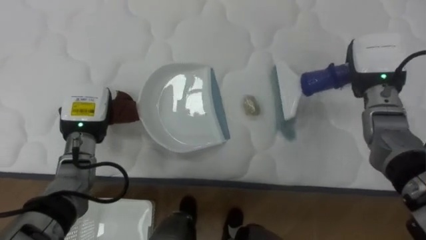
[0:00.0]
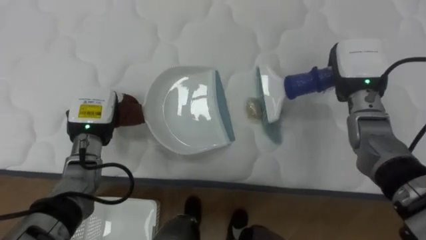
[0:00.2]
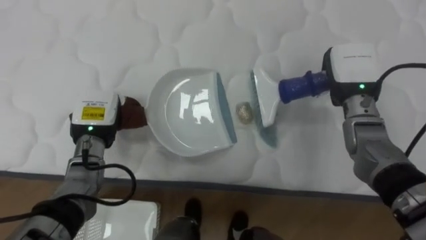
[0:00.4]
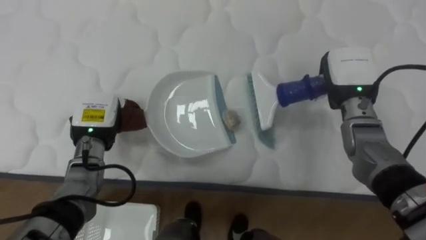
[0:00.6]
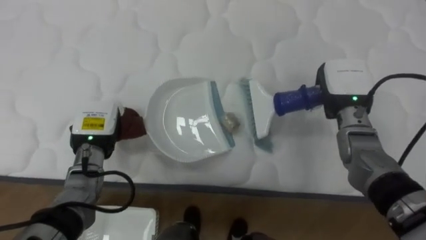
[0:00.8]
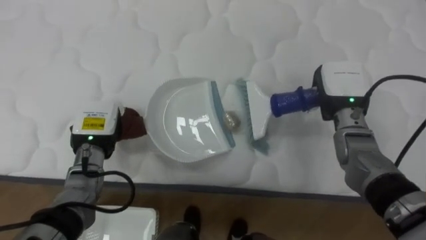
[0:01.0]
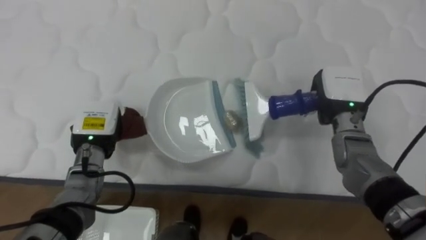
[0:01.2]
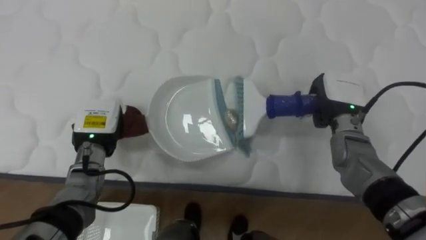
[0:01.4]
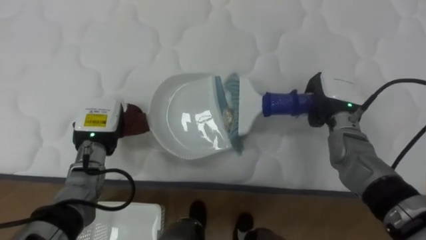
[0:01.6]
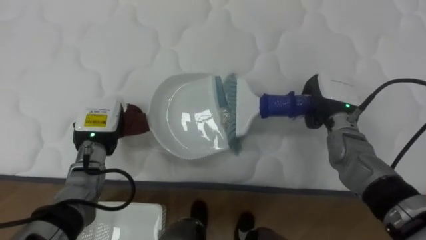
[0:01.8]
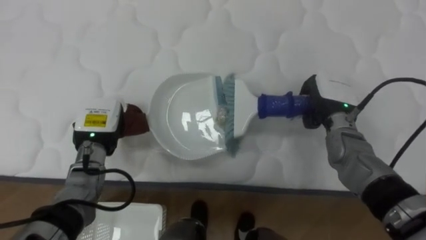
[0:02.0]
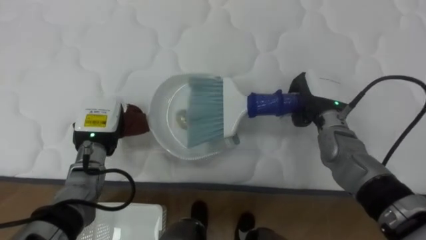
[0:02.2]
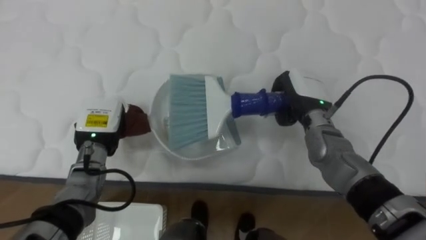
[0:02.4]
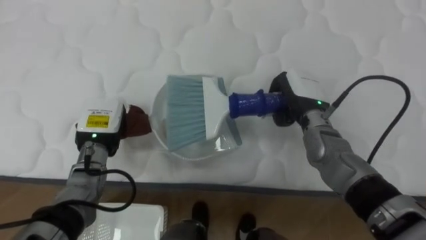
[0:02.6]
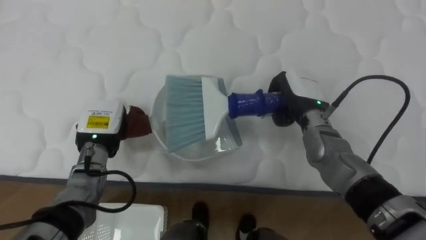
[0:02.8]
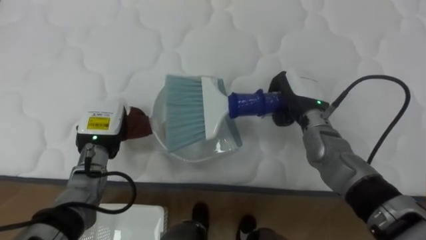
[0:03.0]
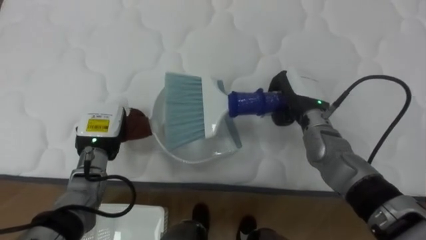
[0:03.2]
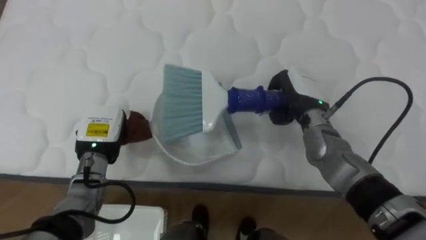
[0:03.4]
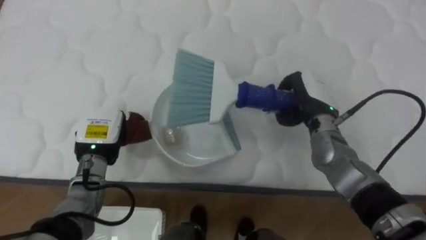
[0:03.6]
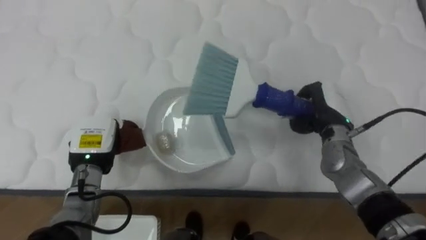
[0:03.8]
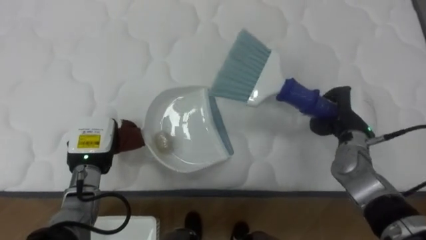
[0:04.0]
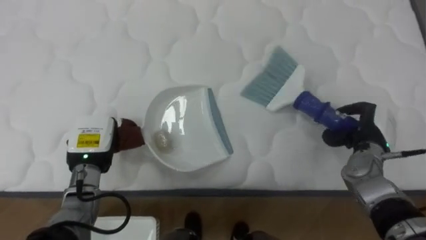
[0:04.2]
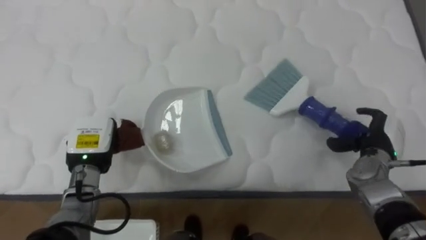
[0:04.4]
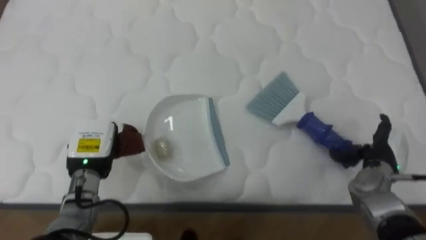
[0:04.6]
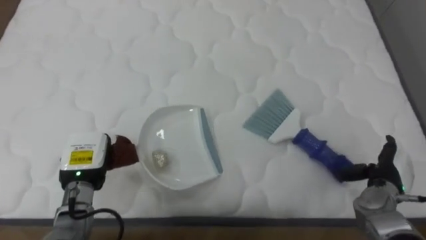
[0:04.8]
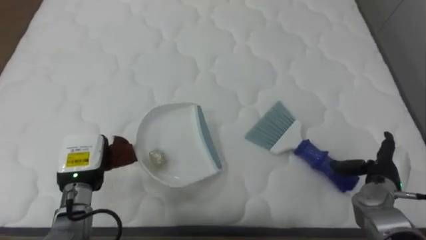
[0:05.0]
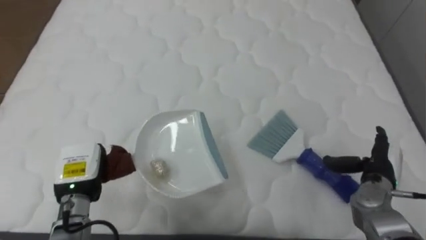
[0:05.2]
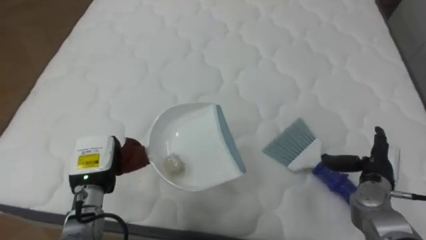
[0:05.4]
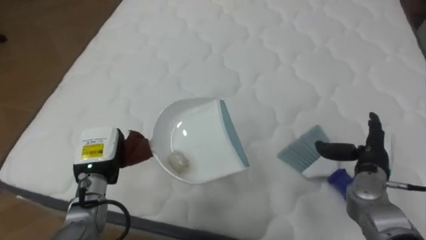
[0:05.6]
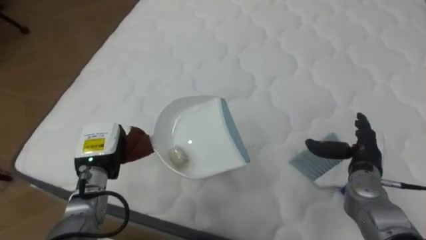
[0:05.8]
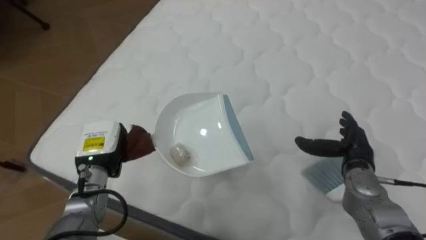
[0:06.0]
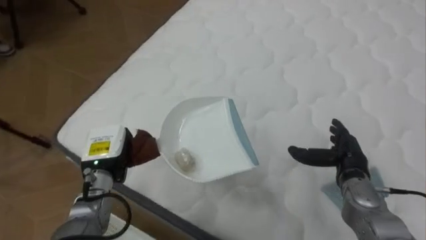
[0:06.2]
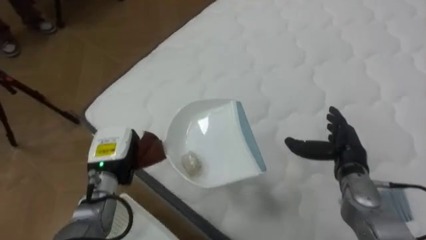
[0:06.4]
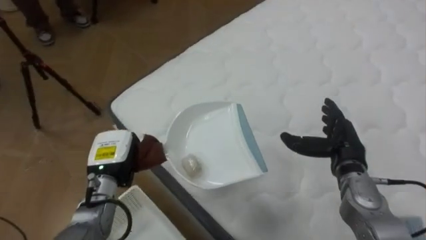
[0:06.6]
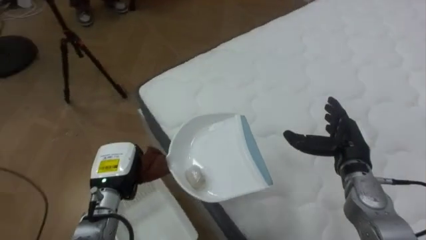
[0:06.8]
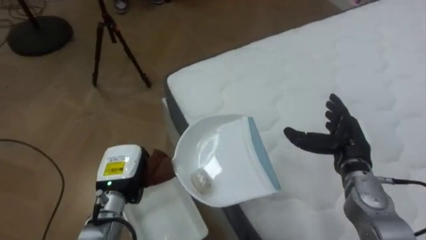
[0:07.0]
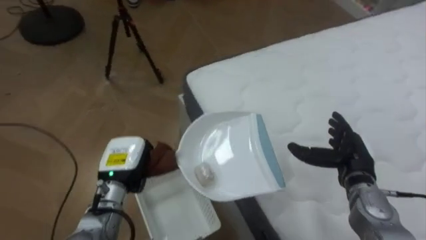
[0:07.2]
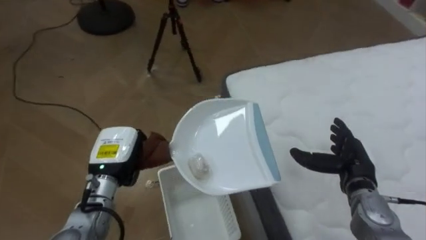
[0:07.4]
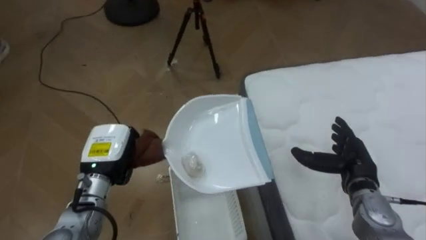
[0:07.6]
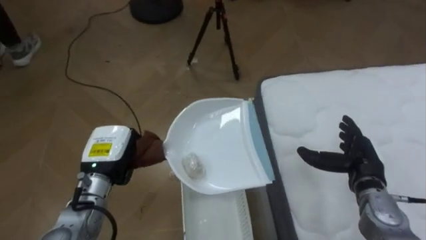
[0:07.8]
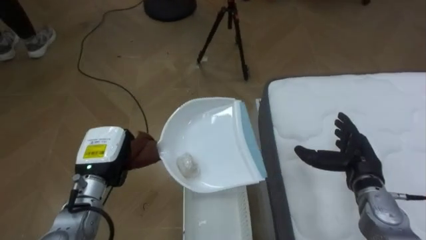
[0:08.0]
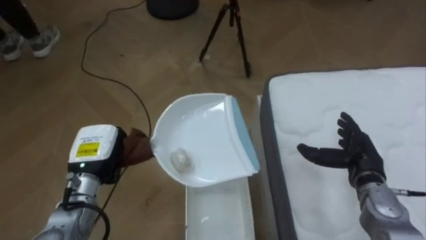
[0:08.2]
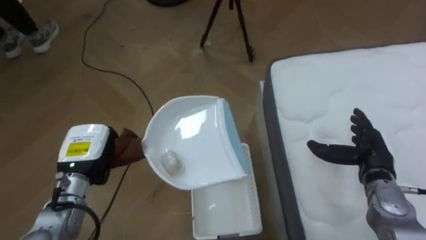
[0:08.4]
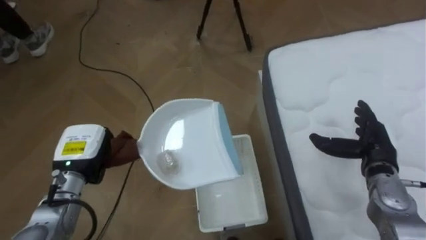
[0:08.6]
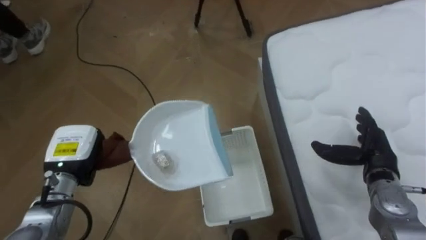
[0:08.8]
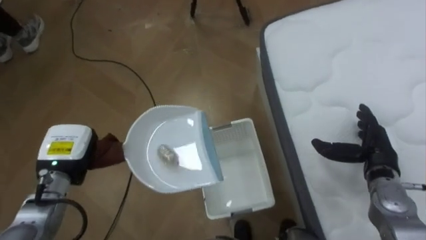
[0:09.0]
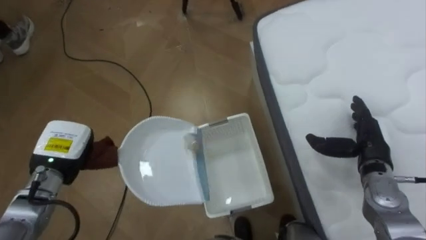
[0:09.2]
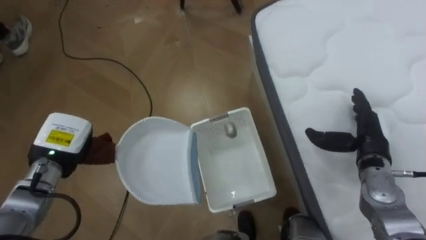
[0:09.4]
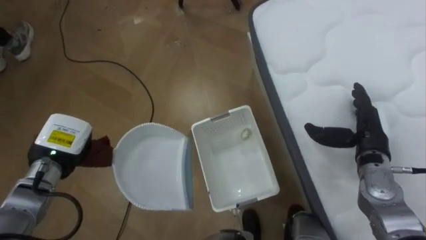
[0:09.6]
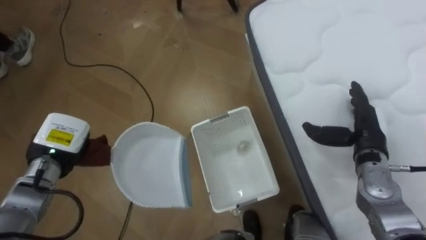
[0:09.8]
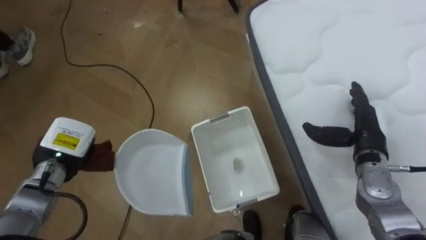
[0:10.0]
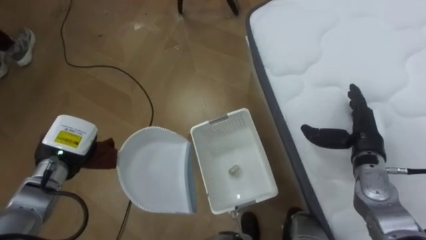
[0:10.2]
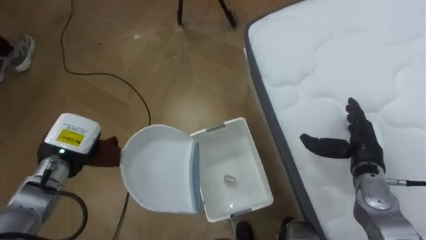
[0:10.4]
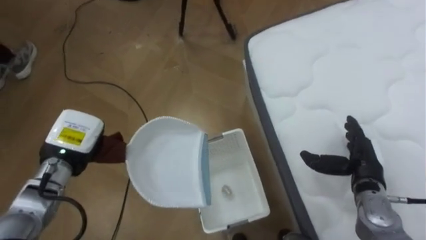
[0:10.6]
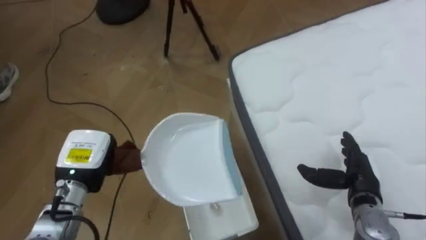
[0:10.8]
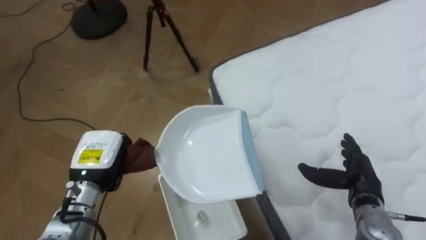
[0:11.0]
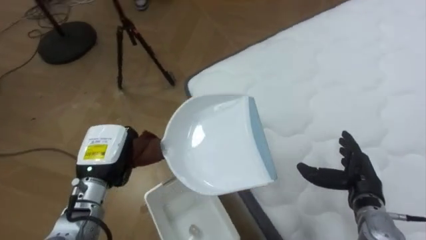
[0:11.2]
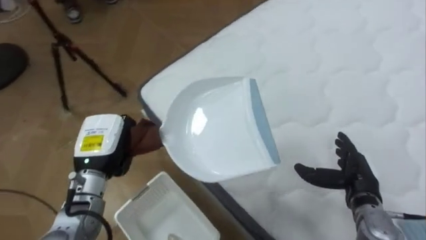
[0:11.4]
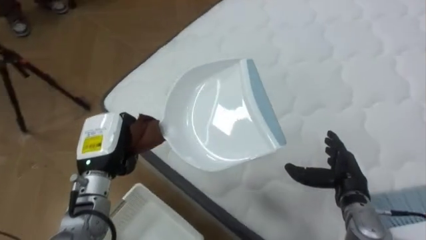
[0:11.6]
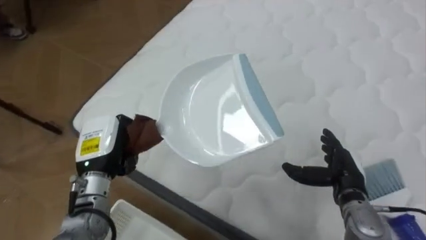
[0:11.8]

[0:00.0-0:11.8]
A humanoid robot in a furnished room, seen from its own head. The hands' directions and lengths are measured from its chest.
Task of the whole recording: Pick up the brush on your right and the dustpan on your left. Use the brush to sweep the crumpled paper on the bed into the dustpan, then turn left and empty it into the basket.
0:00.0 to 0:01.4: The right hand moves downward, approximately 5 cm.
0:01.4 to 0:03.0: The right hand moves to the left, approximately 5 cm.
0:03.0 to 0:04.4: The right hand is displaced to the right, downward and backward by about 20 cm, and opens up.
0:04.4 to 0:06.0: The robot's body swings approximately 20 degrees to its left. The right hand shifts by roughly 5 cm.
0:06.0 to 0:07.4: The robot faces some 50 degrees further to its left.
0:07.4 to 0:08.8: The robot faces approximately 15 degrees further to its left. The left hand shifts approximately 10 cm to the left.
0:10.4 to 0:11.8: The robot rotates roughly 55 degrees to its right. The right hand moves approximately 5 cm. The left hand moves to the right, some 5 cm.

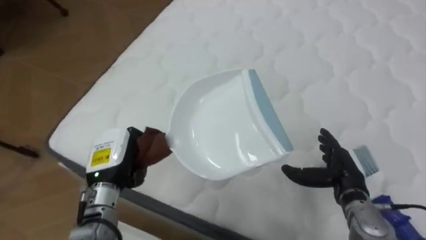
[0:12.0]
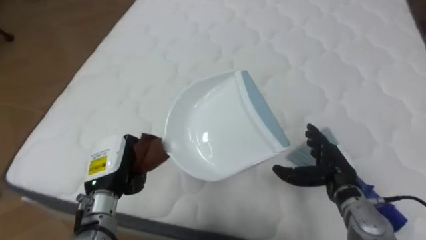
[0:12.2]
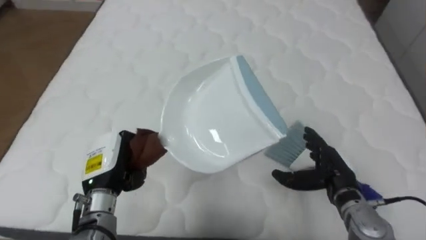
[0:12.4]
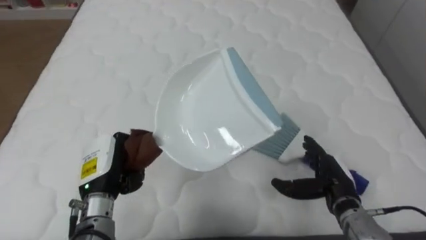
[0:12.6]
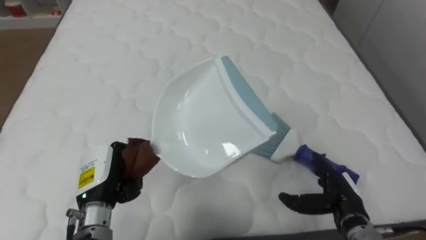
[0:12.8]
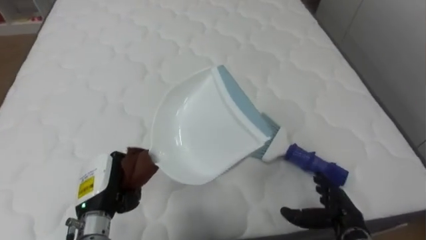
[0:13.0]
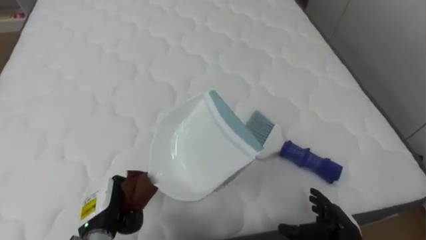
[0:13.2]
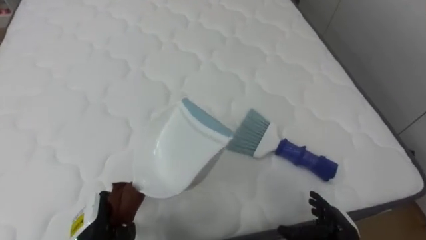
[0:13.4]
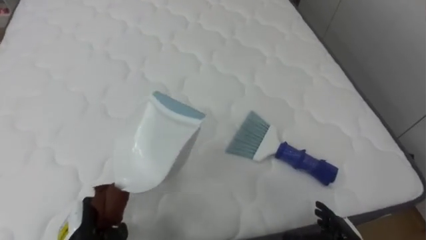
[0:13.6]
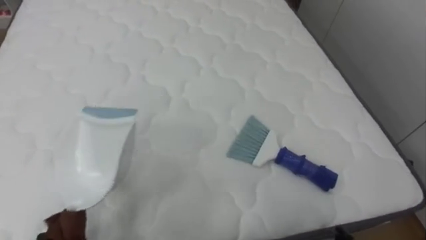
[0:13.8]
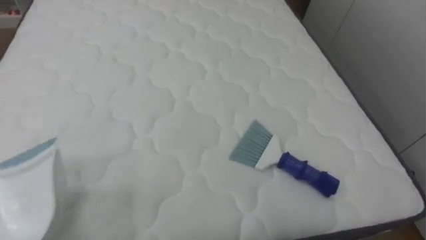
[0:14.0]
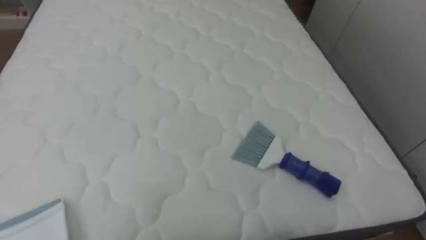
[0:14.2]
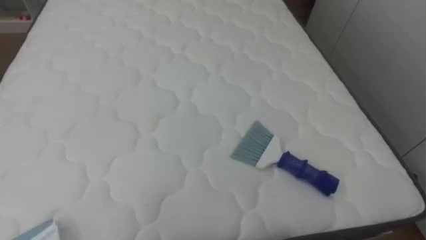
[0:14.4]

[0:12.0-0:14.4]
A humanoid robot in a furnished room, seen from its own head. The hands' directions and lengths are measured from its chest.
Task of the whole recording: Pick up the brush on your right and the dustpan on your left. Use the brush to sweep the crumpled paper on the bed into the dustpan, then turn left and empty it into the basket.
0:12.0 to 0:13.2: The robot faces about 30 degrees further to its right. The left hand shifts roughly 10 cm downward and backward. Meanwhile the right hand heads backward and downward, covering some 10 cm.

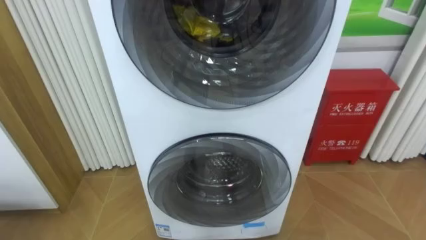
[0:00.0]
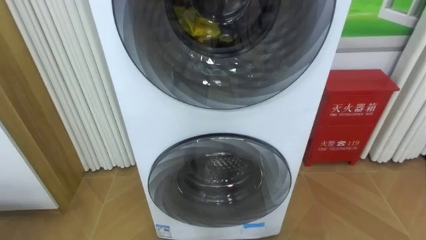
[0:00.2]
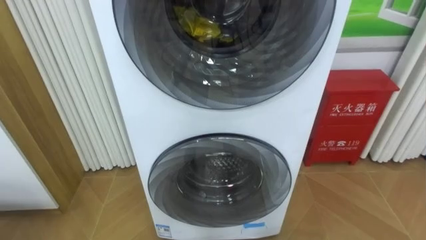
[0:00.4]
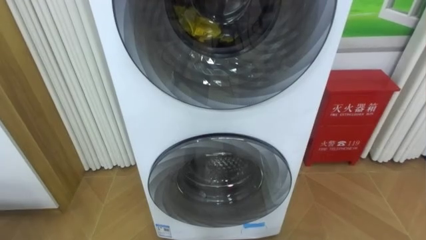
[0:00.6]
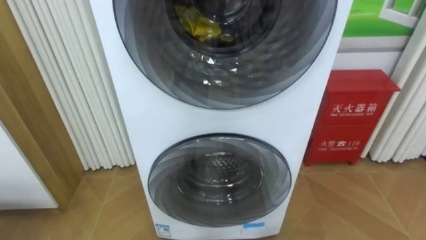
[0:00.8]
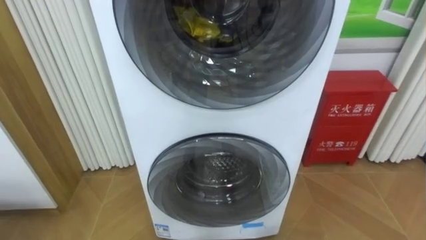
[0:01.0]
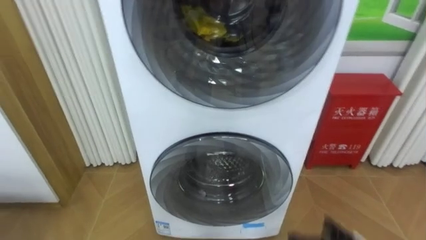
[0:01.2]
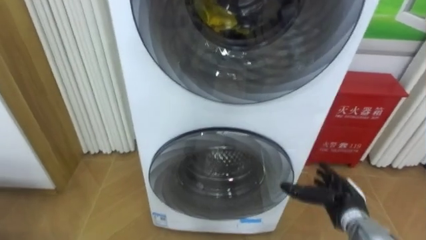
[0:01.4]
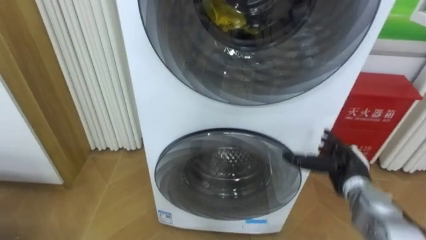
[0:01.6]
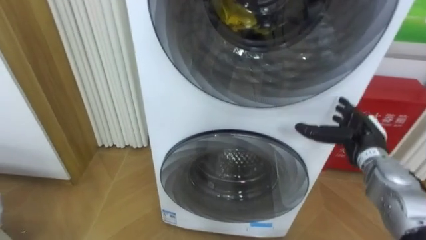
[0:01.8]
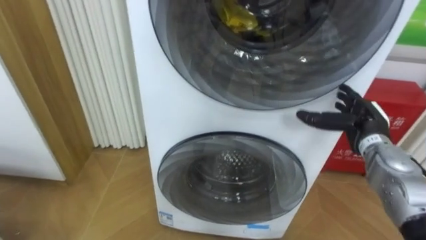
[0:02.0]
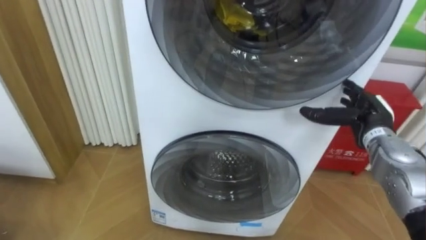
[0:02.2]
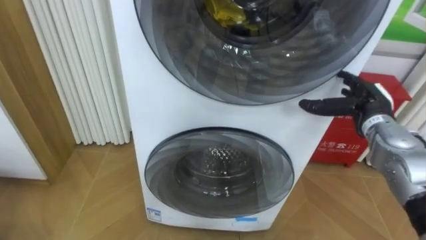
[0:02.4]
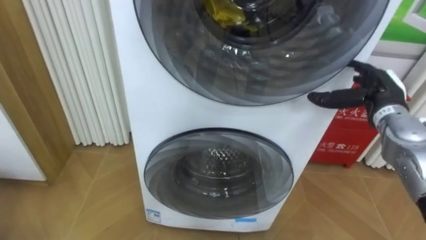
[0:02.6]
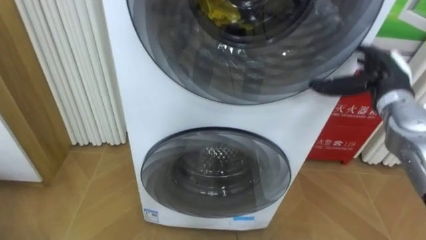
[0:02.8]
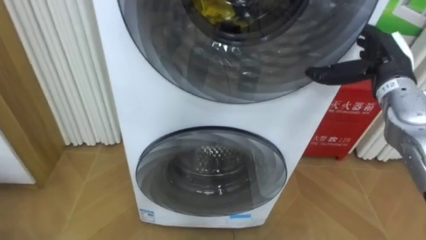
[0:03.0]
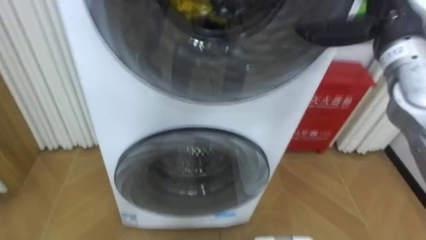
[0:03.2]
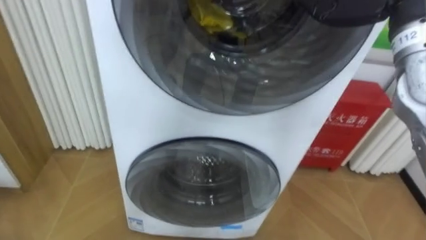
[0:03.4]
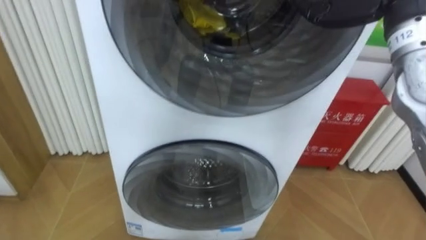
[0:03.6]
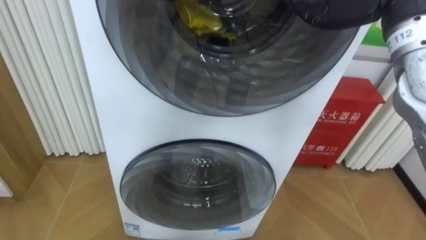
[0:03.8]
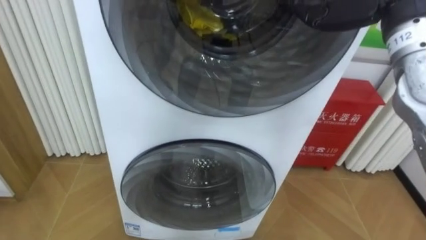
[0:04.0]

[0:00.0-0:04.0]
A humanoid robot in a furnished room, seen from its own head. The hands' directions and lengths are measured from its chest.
Task of the whole recording: Open the washing machine door, take out the yellow clothes, place them in the box on the right, and close the washing machine door.
0:01.4 to 0:02.6: The right hand heads upward and forward, covering some 20 cm.
